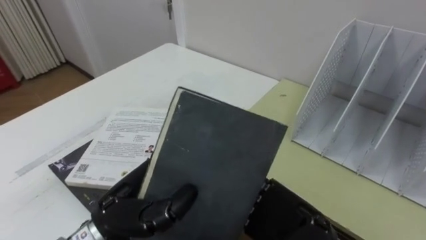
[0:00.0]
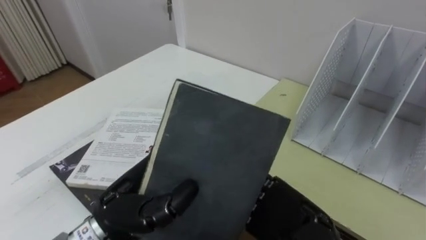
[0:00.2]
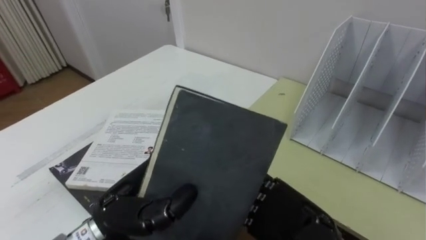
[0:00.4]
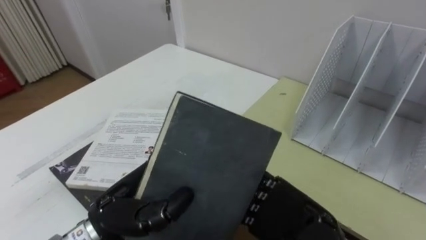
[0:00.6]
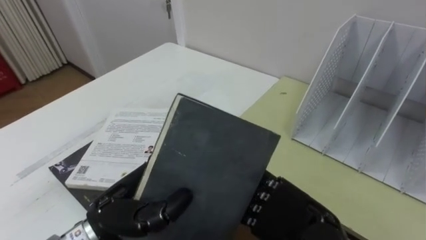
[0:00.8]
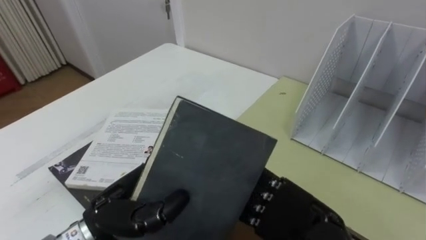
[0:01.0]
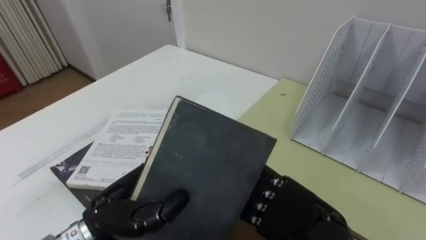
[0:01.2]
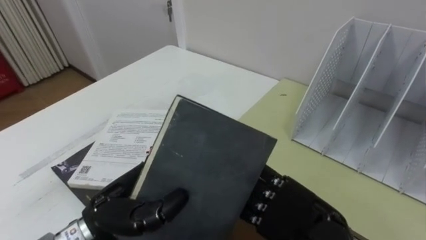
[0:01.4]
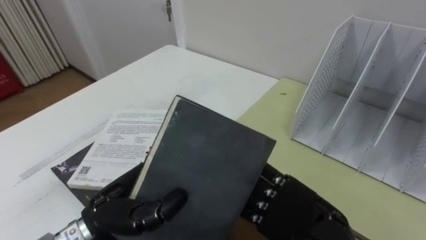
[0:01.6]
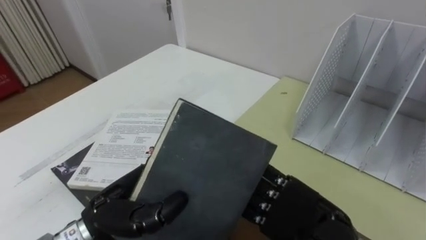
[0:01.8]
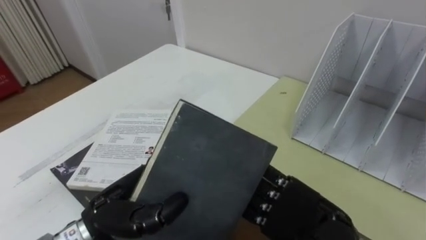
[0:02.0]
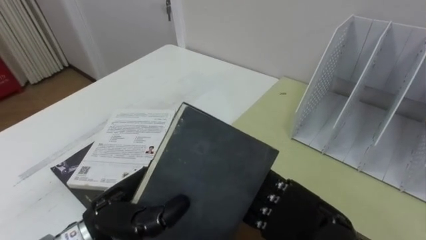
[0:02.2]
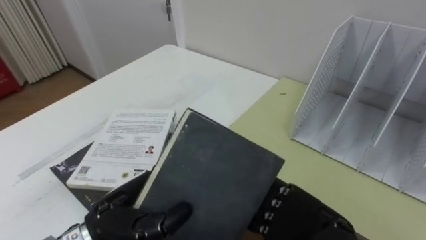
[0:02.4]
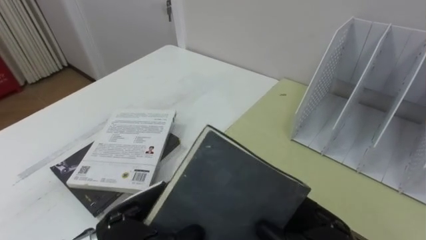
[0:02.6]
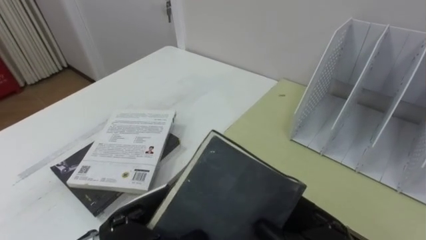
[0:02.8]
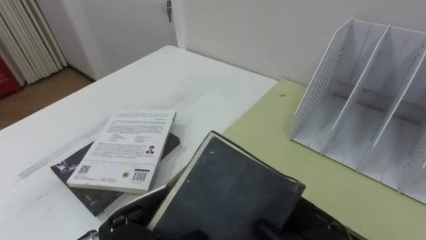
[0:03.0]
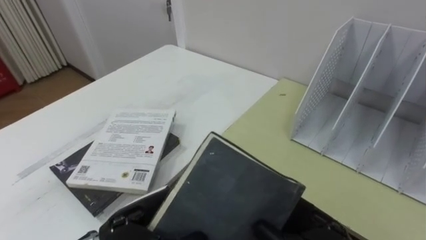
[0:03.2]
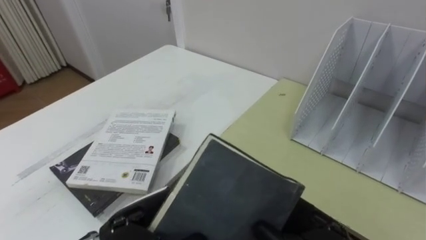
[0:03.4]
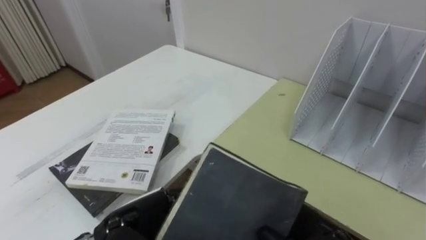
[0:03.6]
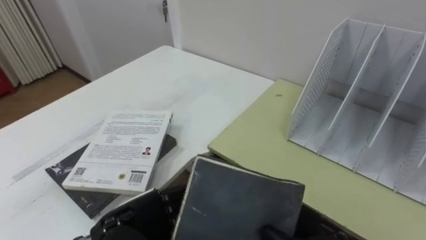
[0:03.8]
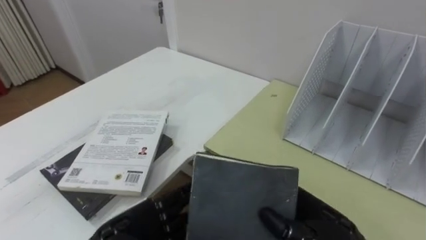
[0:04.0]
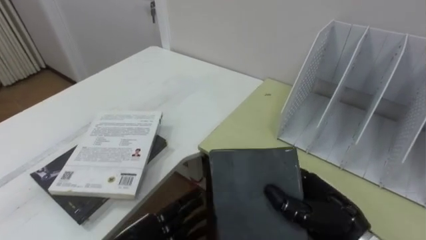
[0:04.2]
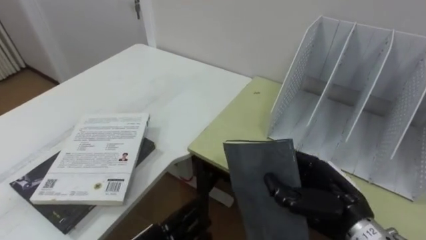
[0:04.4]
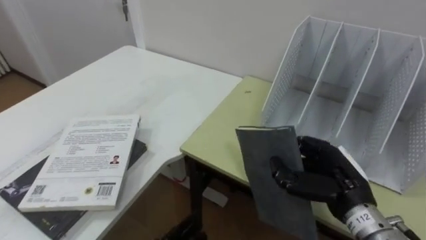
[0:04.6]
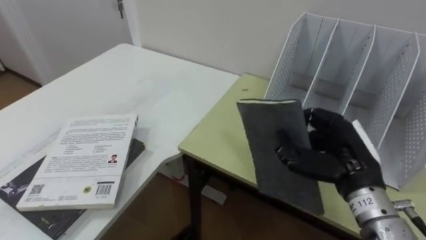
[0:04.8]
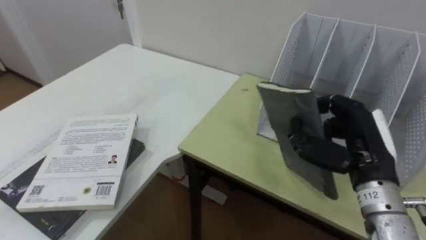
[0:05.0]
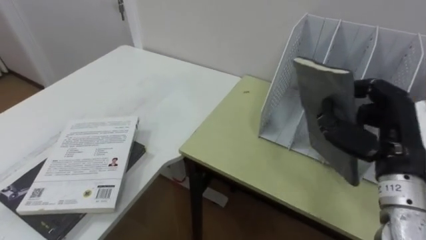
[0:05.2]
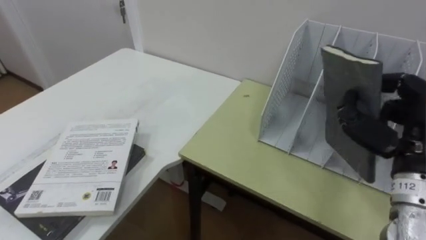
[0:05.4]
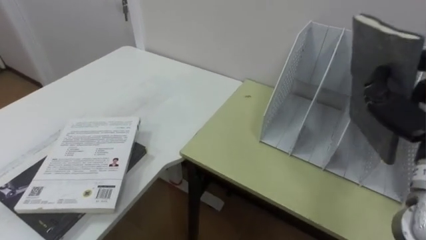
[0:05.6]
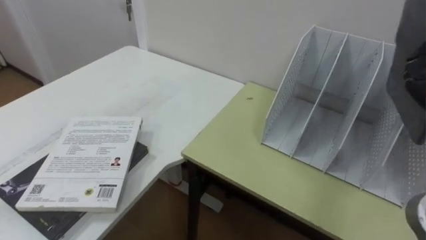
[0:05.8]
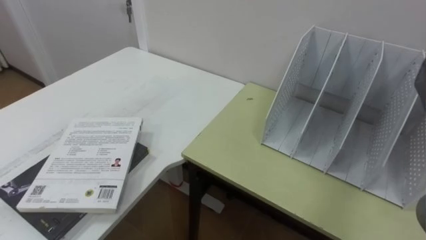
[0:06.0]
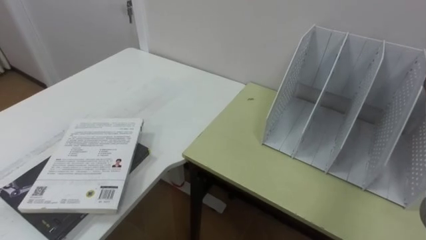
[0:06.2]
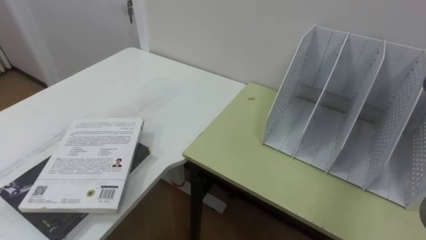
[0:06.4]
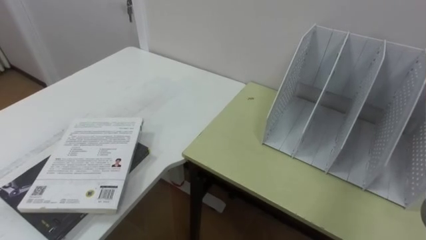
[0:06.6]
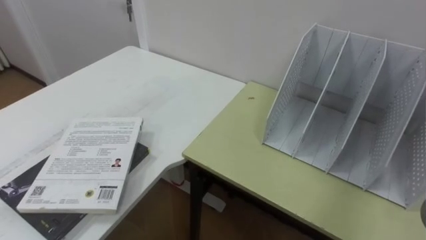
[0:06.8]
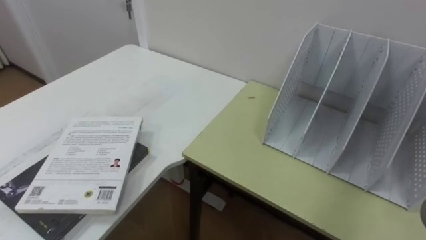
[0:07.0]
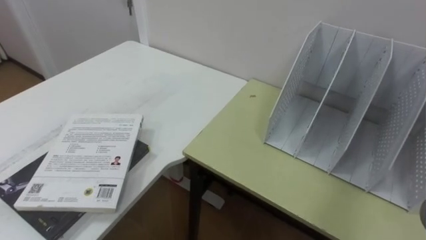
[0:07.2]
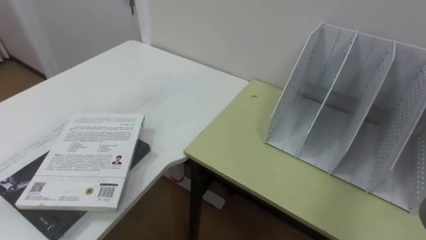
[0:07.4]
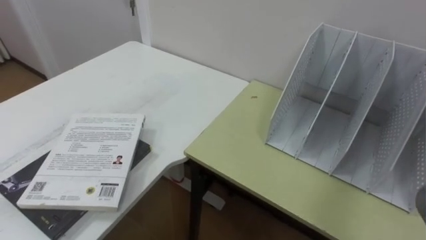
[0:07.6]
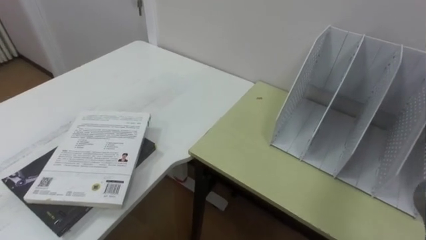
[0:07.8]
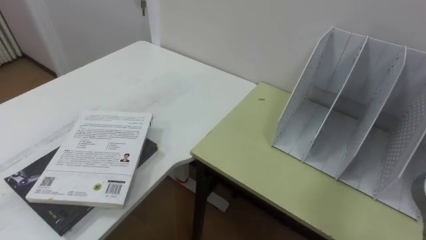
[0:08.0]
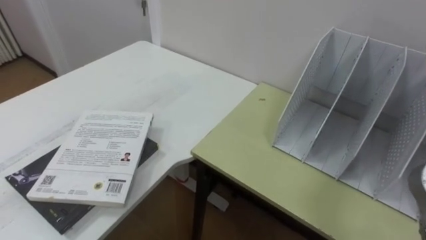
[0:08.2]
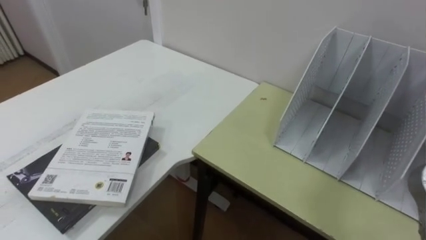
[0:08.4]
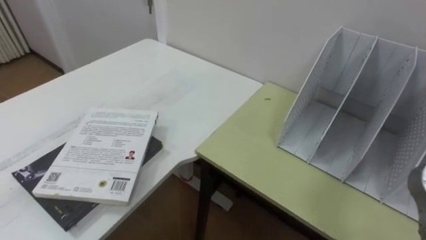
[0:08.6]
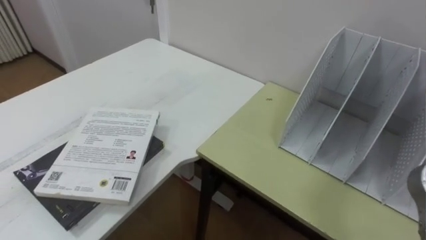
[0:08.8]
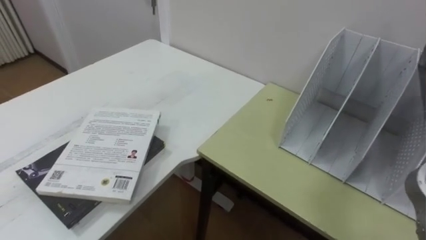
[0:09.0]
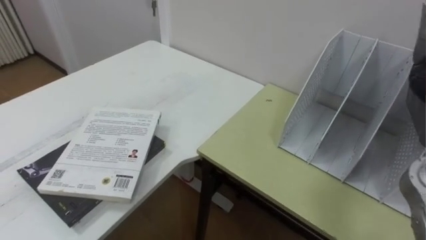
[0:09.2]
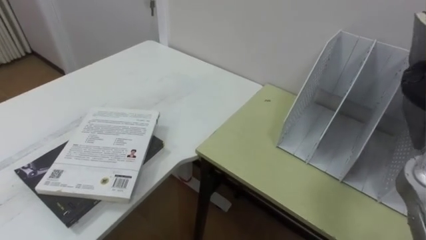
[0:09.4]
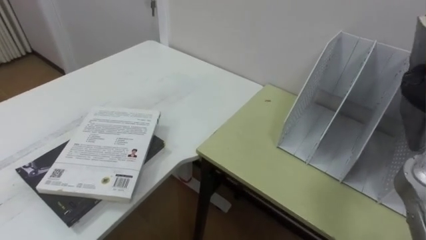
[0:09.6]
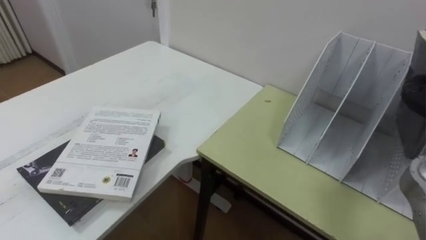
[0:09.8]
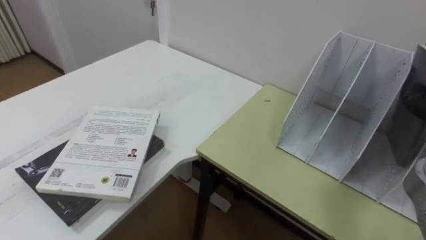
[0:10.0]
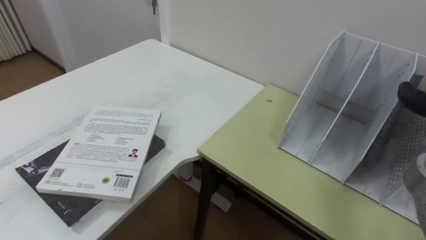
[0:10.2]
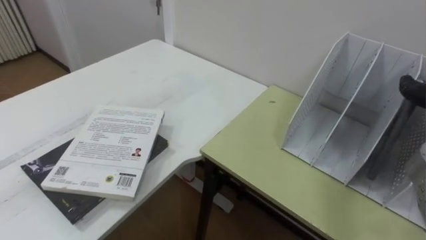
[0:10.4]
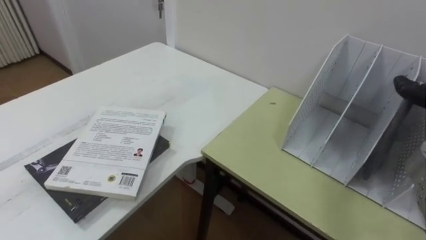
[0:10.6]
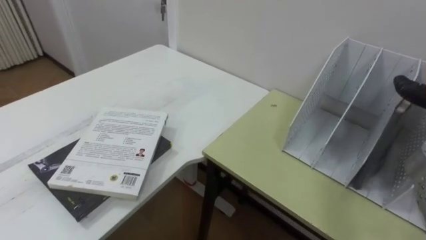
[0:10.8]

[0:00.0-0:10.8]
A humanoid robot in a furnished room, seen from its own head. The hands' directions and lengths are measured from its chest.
Task of the whole recording: Put the books on the table onto the bookshelf.
0:00.0 to 0:01.6: The hands move only a little.
0:01.6 to 0:03.0: The right hand closes.
0:03.0 to 0:04.6: The right hand travels forward and to the right by roughly 10 cm.

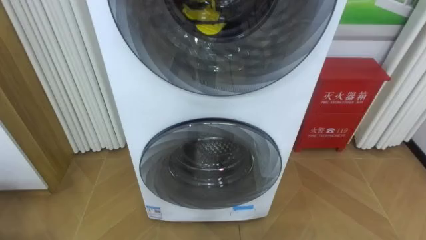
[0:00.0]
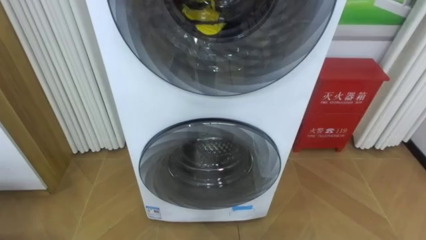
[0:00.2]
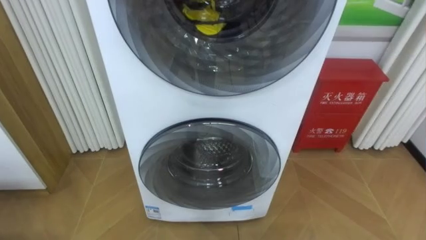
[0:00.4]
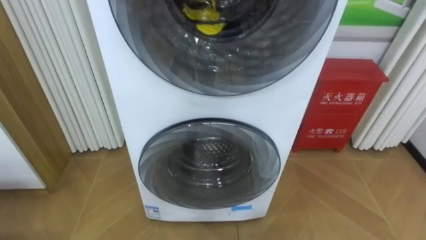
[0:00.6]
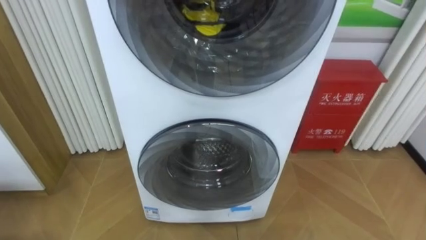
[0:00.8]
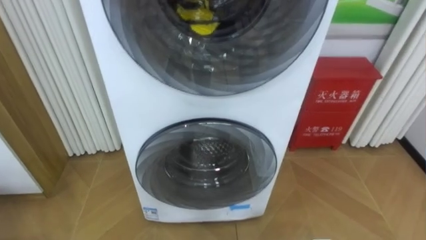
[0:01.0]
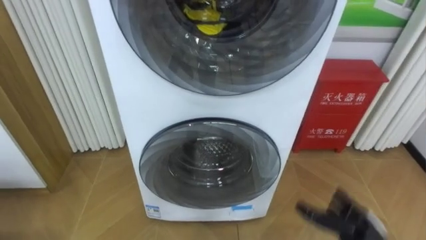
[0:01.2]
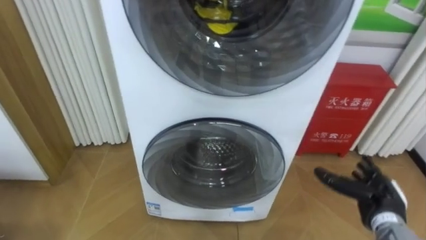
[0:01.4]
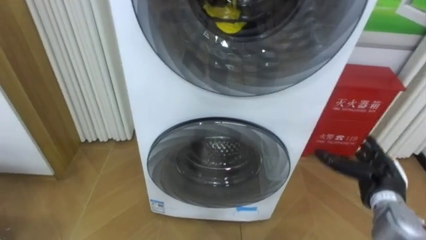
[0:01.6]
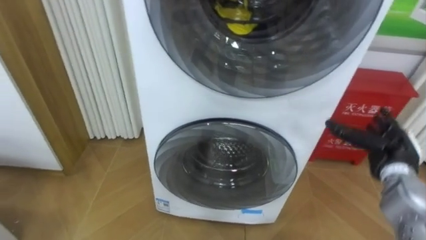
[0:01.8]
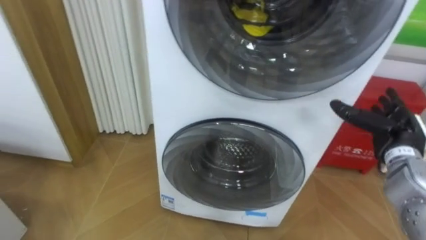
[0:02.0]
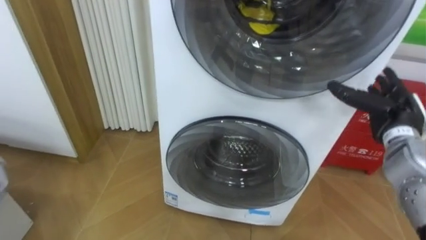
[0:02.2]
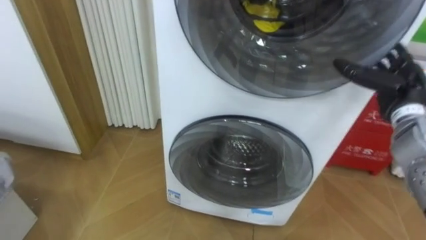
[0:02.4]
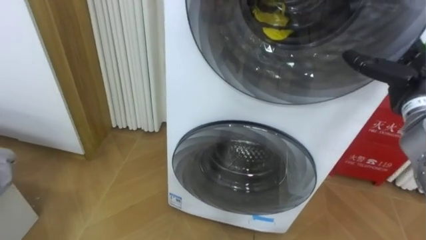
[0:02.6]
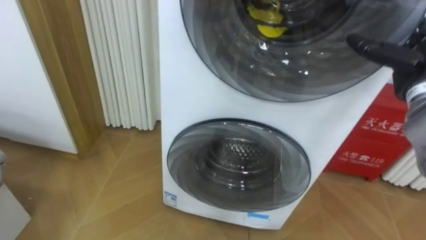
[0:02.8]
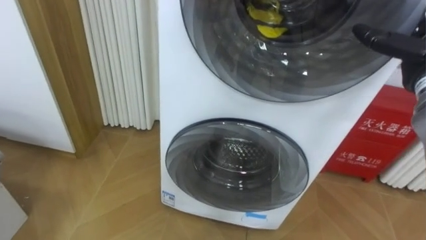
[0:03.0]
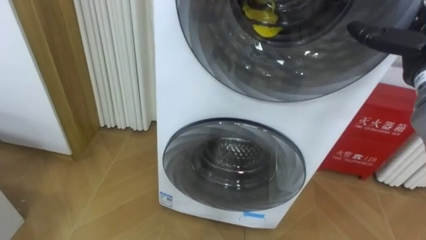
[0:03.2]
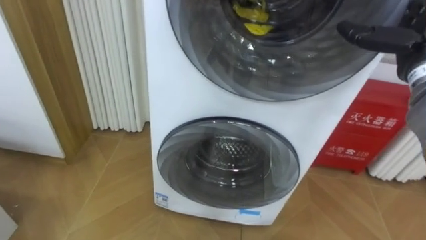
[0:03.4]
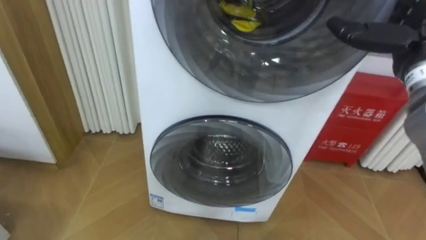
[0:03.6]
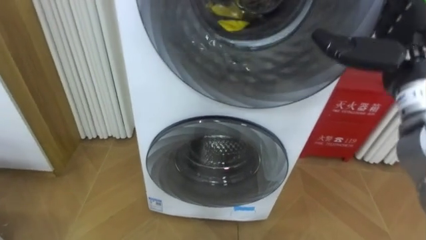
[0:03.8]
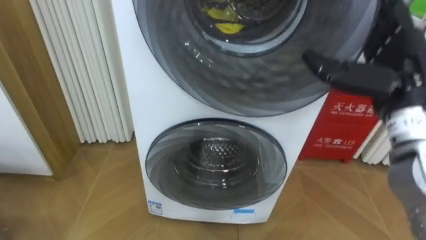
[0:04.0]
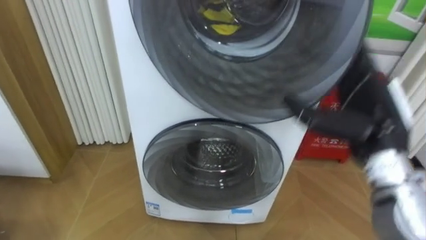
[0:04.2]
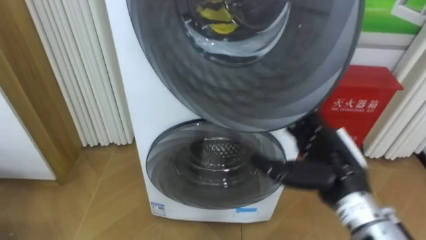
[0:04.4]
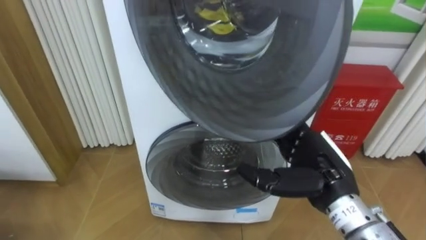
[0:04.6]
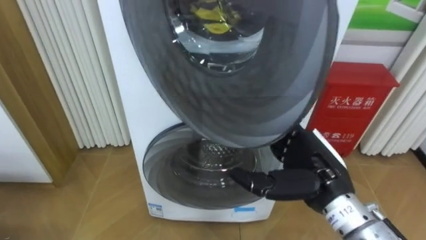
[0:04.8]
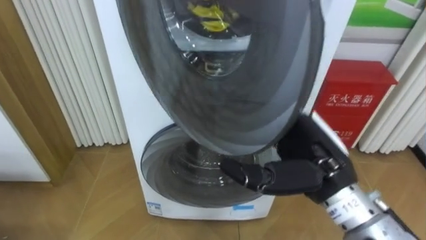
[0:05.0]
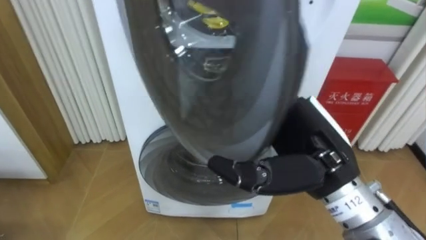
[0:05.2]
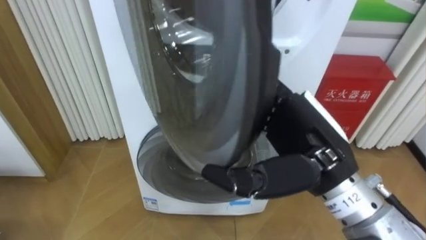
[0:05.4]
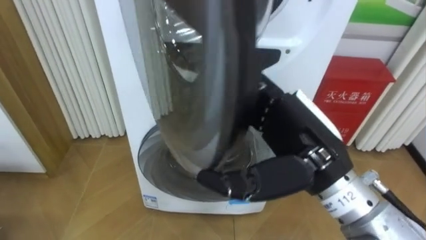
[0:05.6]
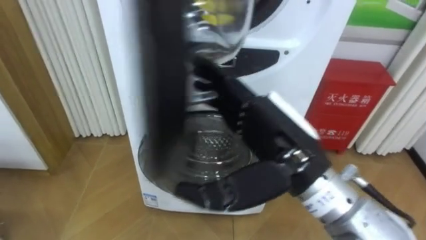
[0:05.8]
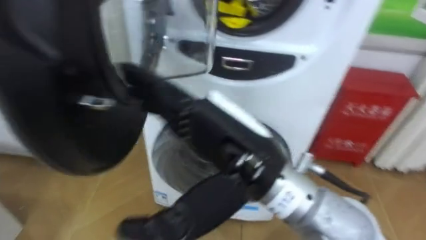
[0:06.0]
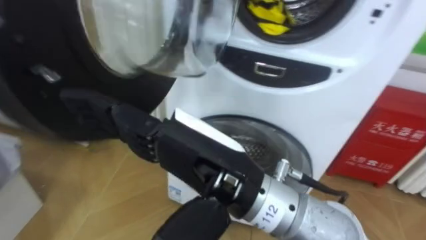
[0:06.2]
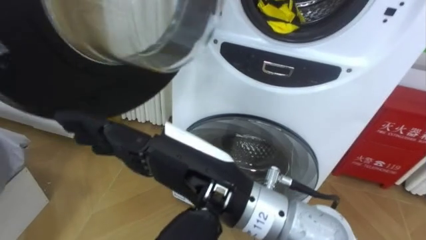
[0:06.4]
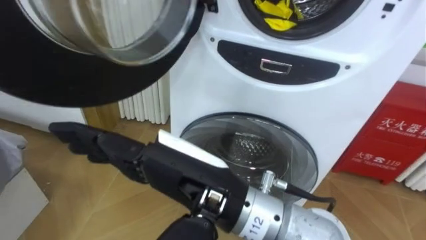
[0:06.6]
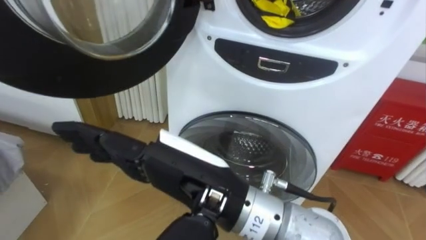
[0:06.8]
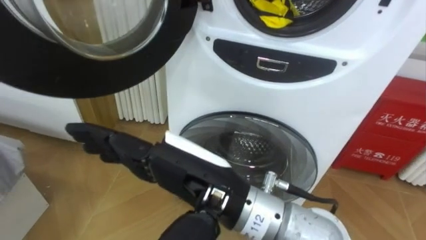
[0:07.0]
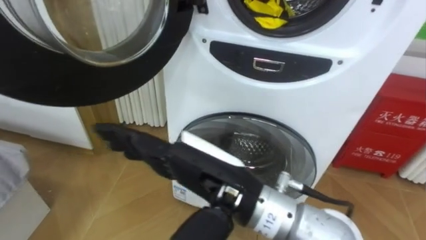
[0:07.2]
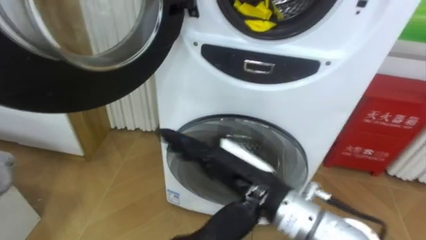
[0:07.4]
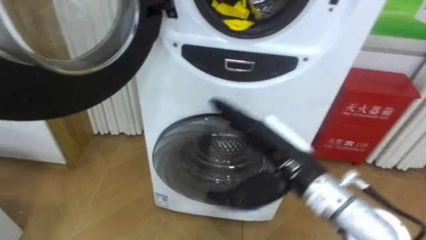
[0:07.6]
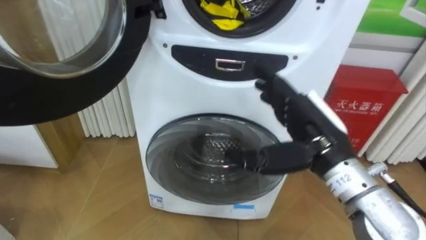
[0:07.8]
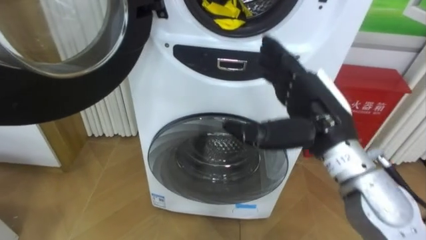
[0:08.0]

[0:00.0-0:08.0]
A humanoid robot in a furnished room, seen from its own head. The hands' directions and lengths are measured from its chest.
Task of the whole recording: Open the washing machine door, take out the yellow clothes, place them in the box on the right, and close the washing machine door.
0:01.6 to 0:03.2: The right hand goes approximately 25 cm upward.
0:03.2 to 0:04.8: The right hand goes roughly 25 cm to the left, backward and downward.
0:04.8 to 0:06.4: The right hand is displaced to the left, upward and backward by roughly 20 cm.
0:06.4 to 0:08.0: The right hand moves to the right and forward, approximately 20 cm.
